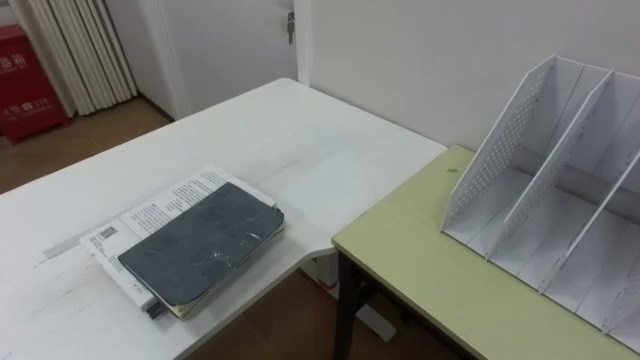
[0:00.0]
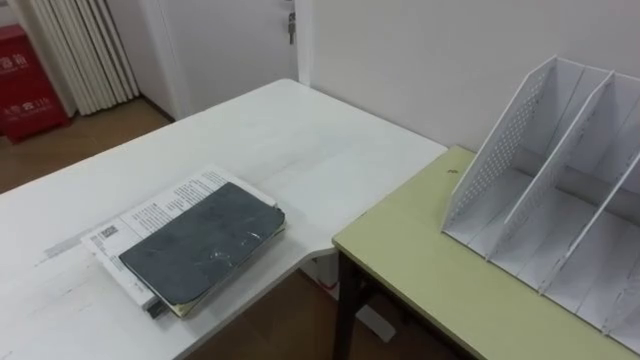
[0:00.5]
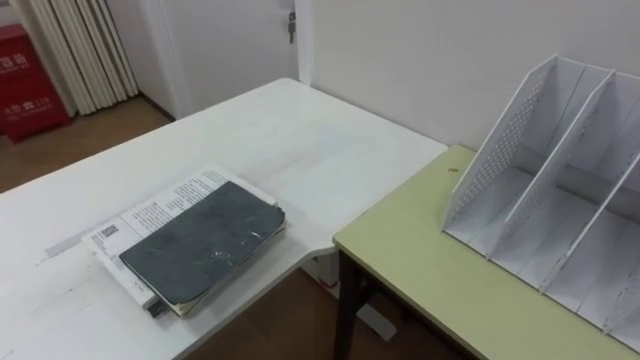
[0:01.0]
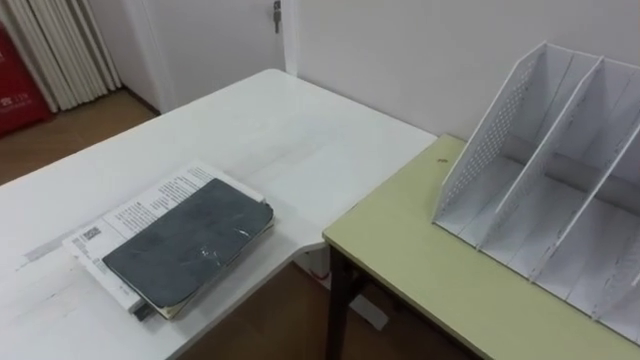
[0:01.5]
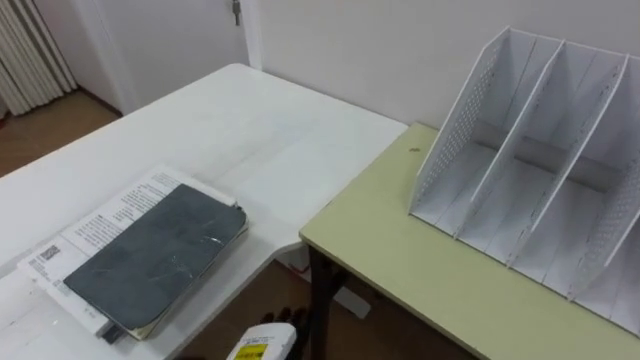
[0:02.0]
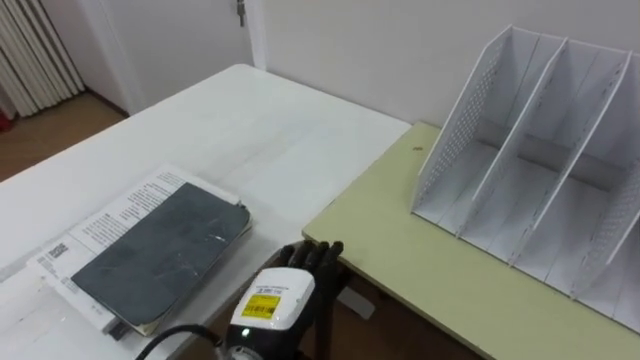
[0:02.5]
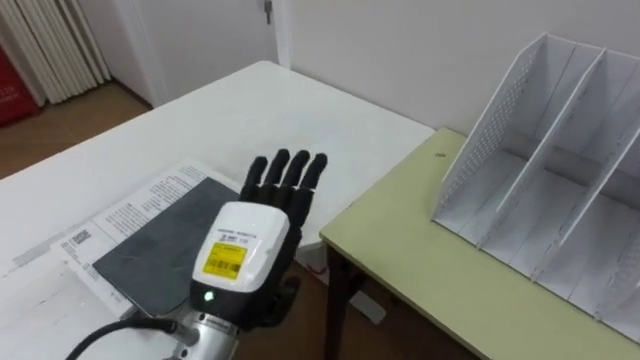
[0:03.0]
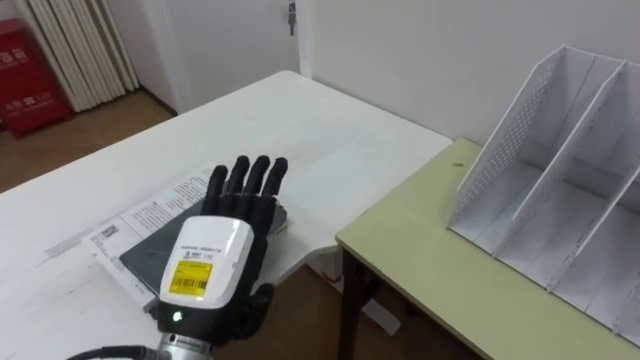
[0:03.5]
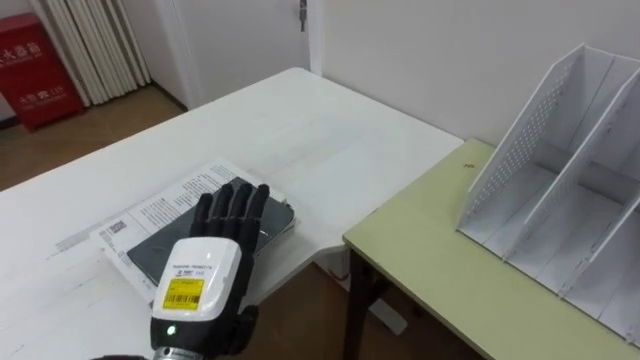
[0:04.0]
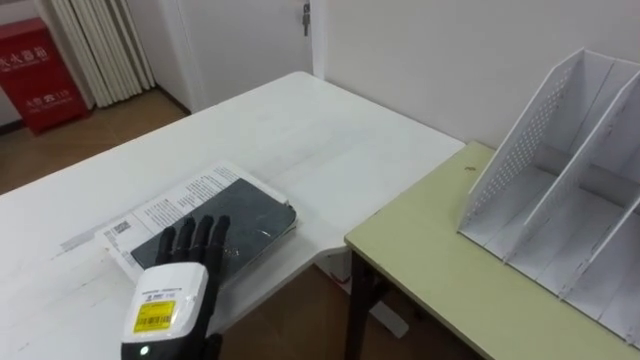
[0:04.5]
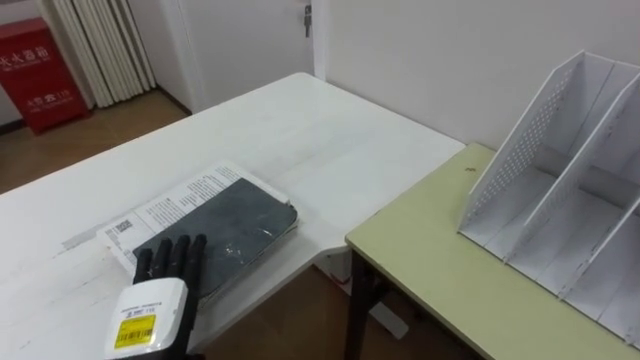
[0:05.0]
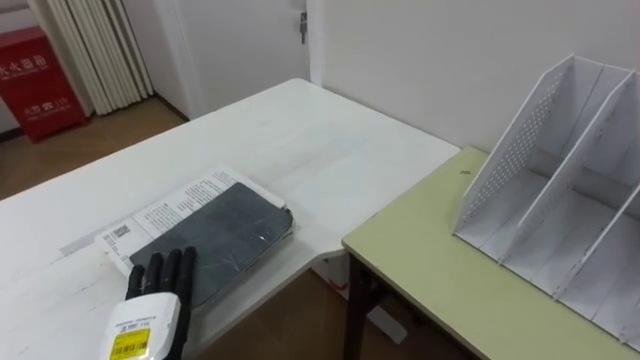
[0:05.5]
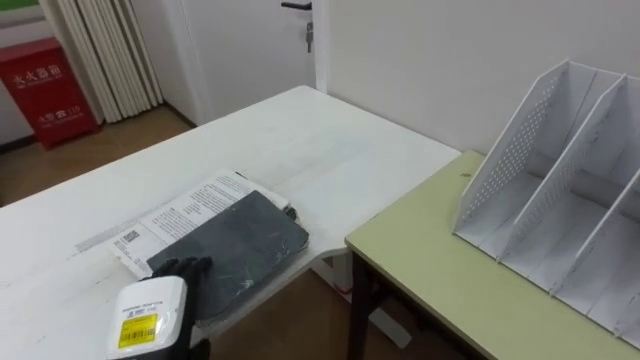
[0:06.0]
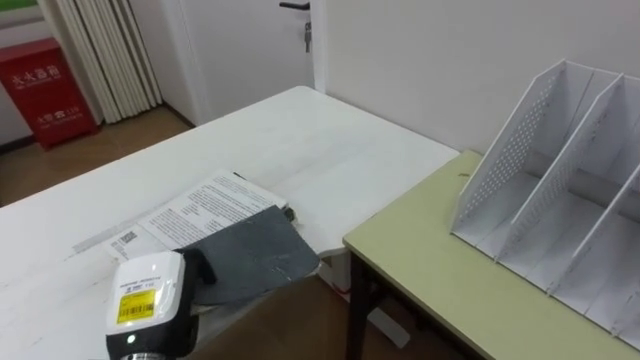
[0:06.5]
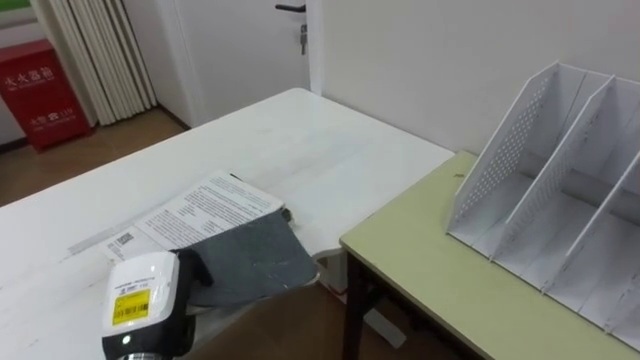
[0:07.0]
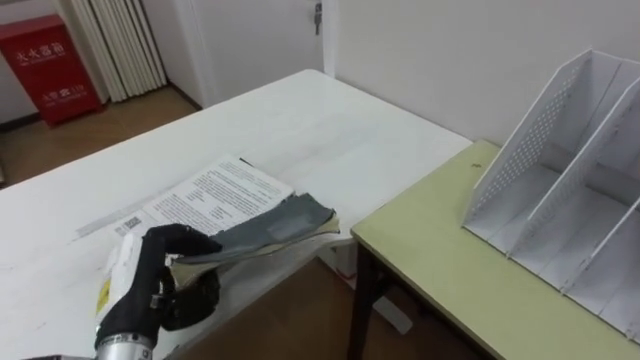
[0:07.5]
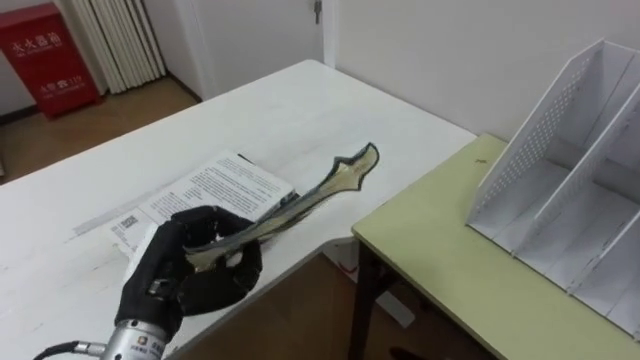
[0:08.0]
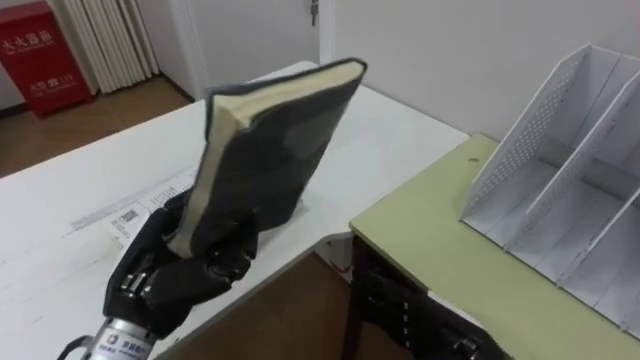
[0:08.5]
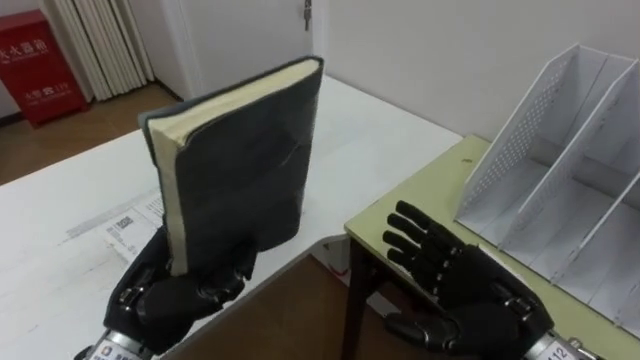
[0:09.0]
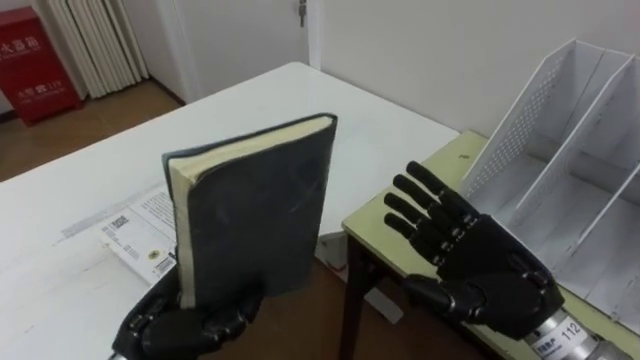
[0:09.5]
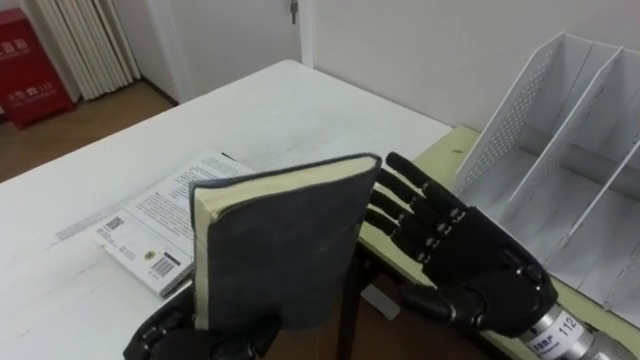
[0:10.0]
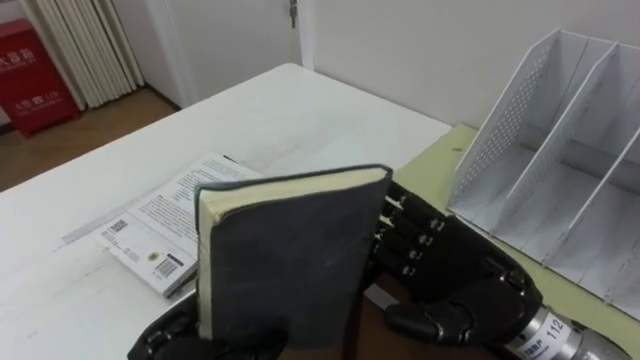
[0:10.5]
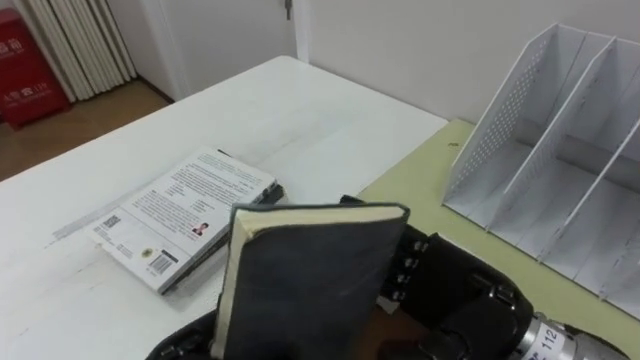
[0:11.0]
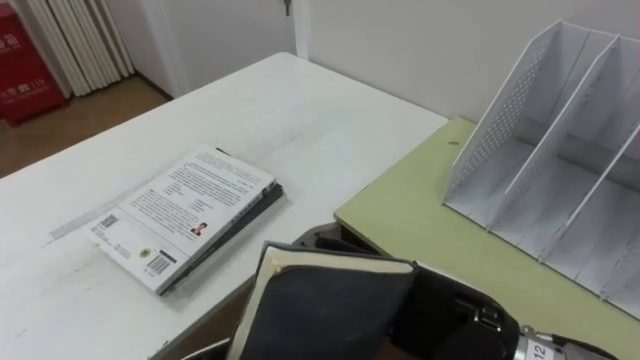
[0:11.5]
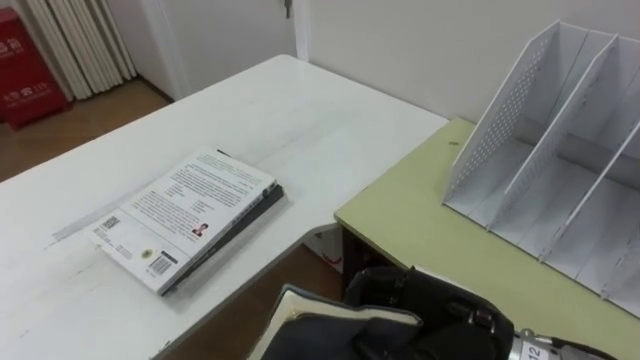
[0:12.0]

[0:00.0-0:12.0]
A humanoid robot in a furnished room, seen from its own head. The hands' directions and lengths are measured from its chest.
Task of the whole recording: Put the books on the table onto the bookshelf.
0:04.0 to 0:06.0: The left hand shifts about 10 cm downward and to the left.
0:06.0 to 0:08.0: The left hand goes approximately 5 cm upward, and closes its fingers.
0:08.0 to 0:10.0: The left hand shifts by approximately 5 cm.
0:10.0 to 0:12.0: The right hand changes place by some 5 cm, and closes its fingers.

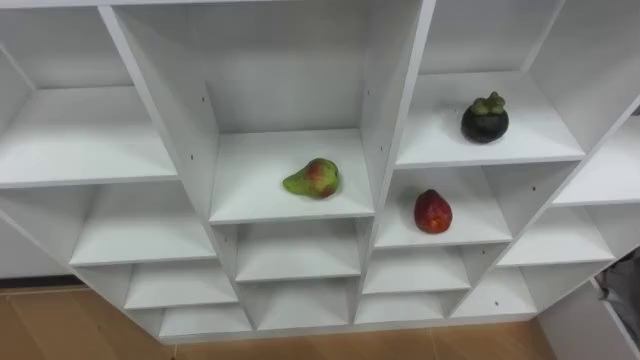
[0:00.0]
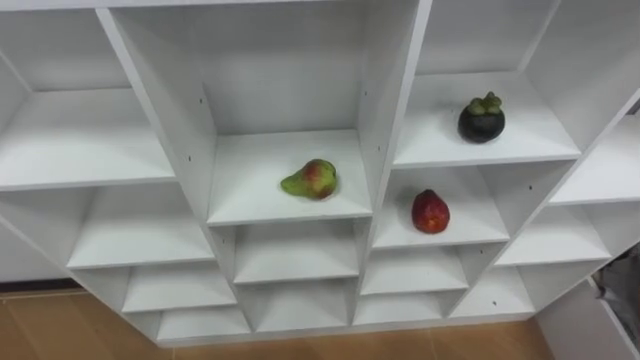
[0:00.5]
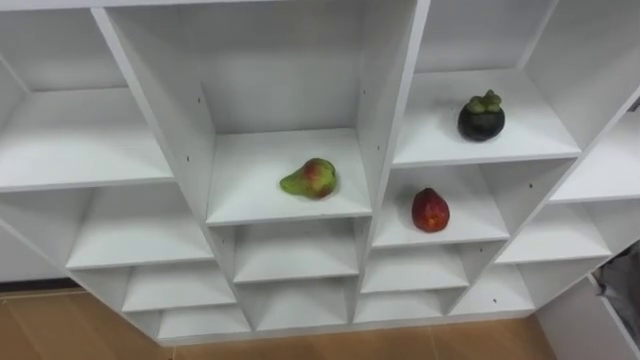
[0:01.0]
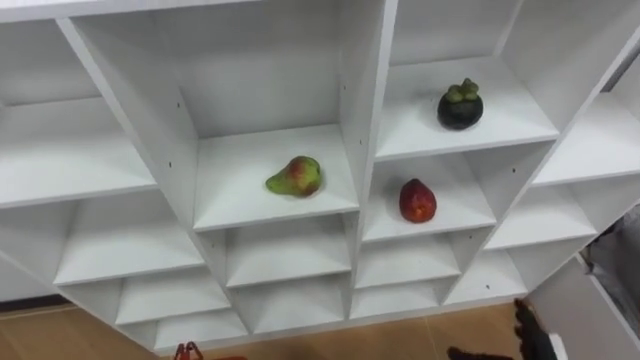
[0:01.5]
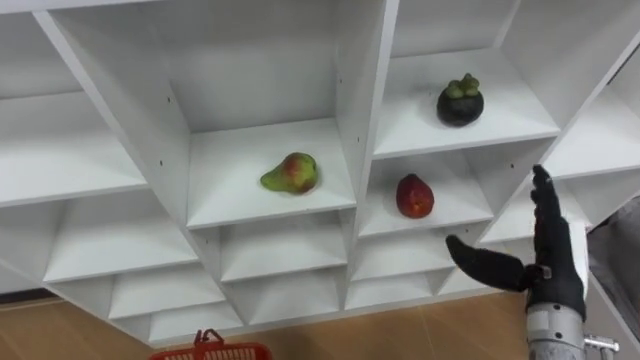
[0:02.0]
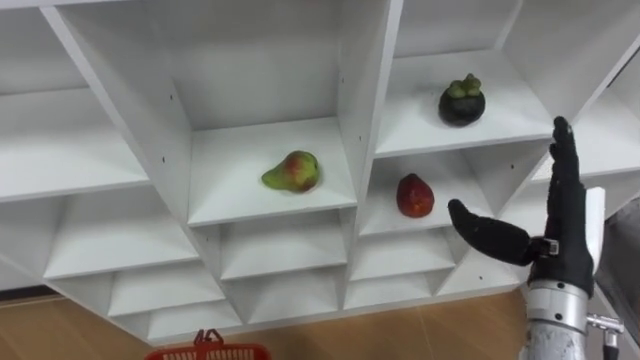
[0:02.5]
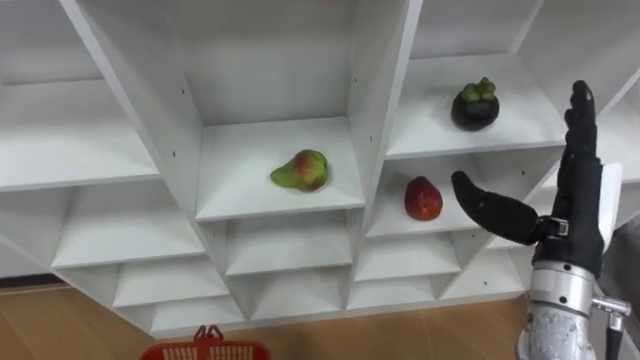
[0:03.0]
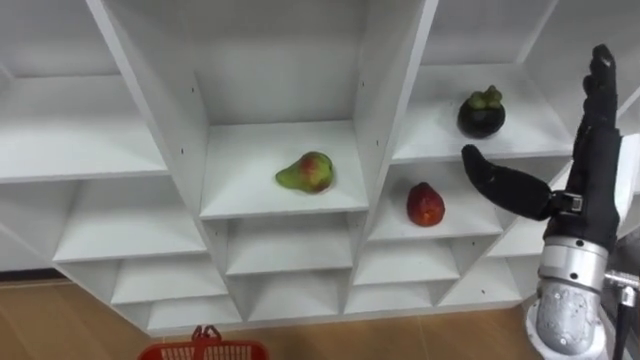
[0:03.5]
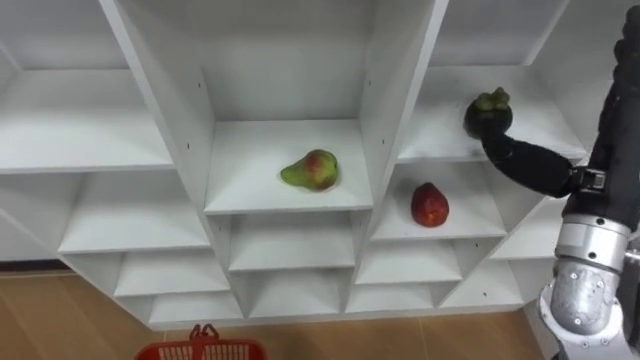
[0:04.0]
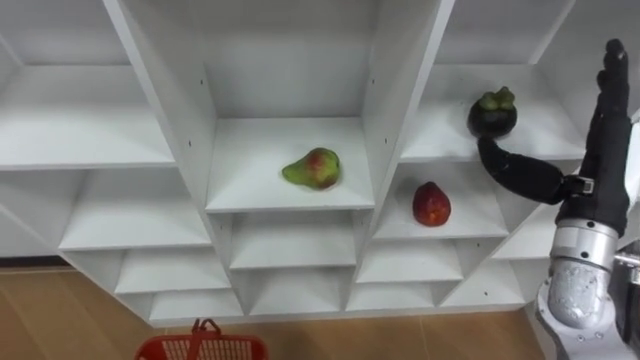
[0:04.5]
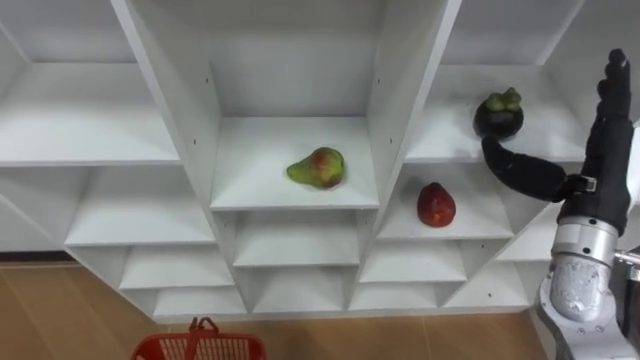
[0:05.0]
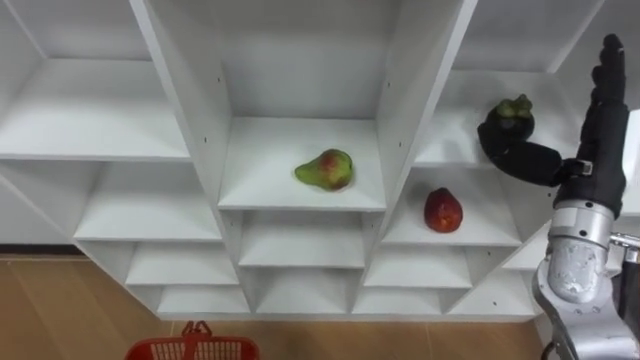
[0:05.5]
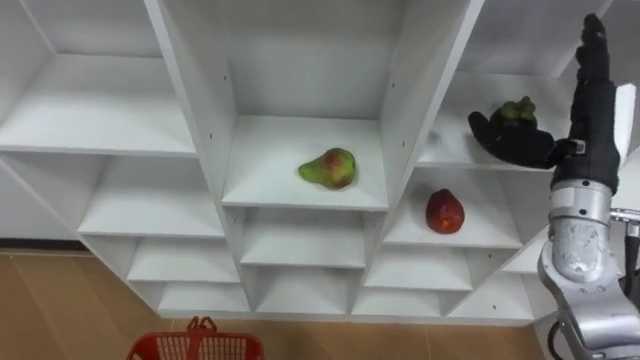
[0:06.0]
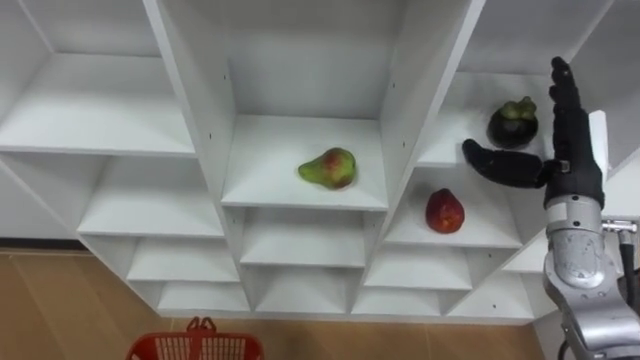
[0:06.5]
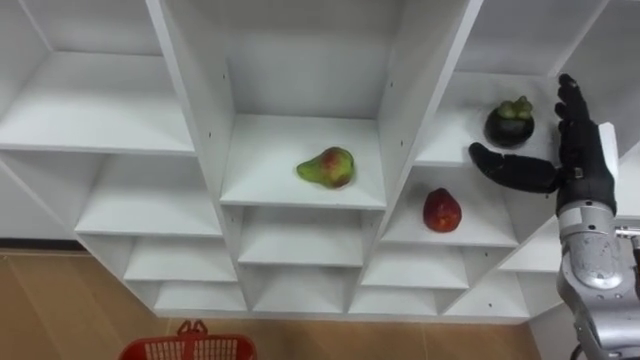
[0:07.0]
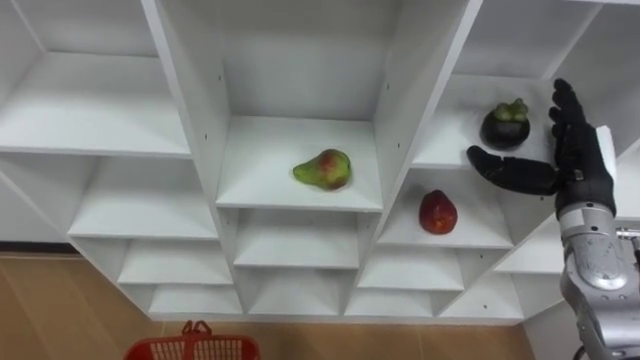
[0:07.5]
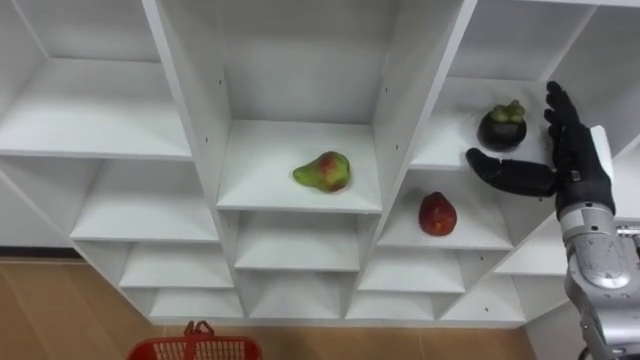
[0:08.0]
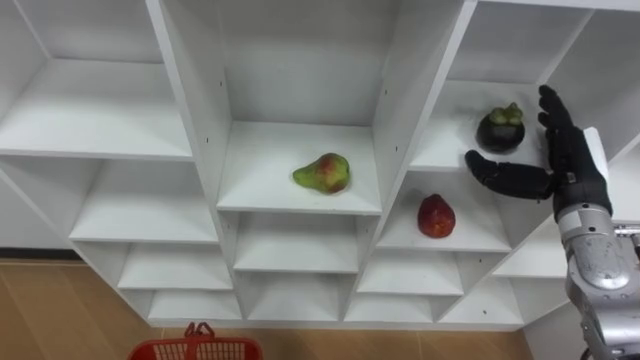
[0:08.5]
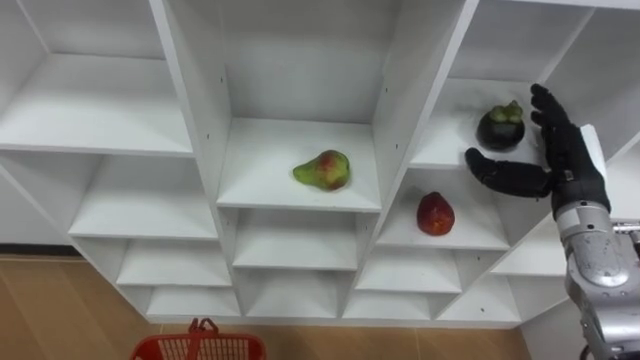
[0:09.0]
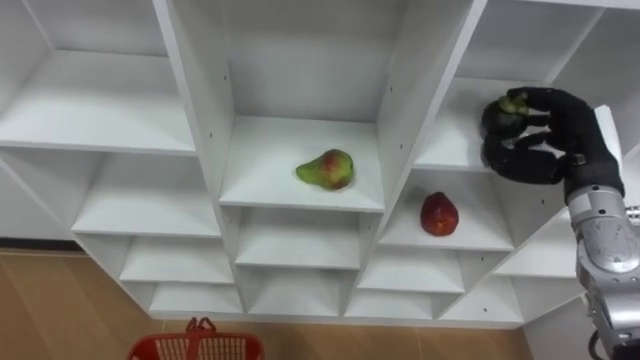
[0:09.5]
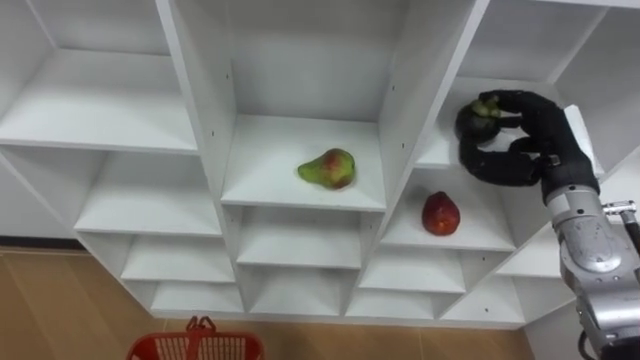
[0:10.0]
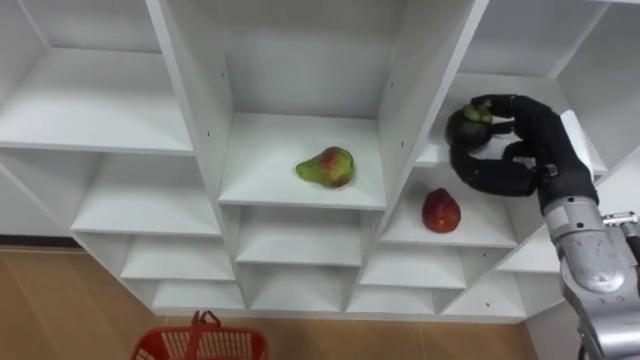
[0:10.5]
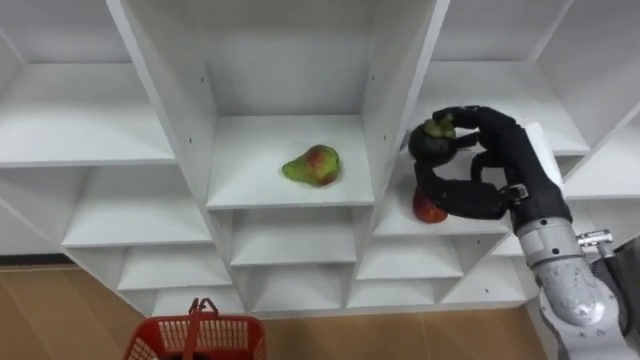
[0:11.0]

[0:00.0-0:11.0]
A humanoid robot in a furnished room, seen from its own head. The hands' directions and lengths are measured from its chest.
Task of the whole recording: Hold the basket and collect the fruits from 3 different cells of the closet into it.
0:02.0 to 0:03.5: The right hand is displaced upward by roughly 10 cm.
0:05.5 to 0:07.5: The right hand goes roughly 5 cm downward.
0:09.0 to 0:11.0: The right hand heads to the left, covering about 5 cm, and closes.
